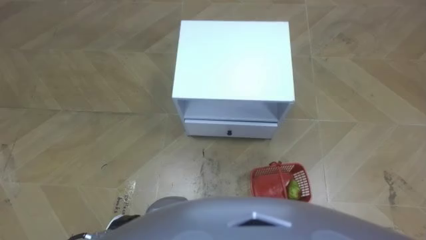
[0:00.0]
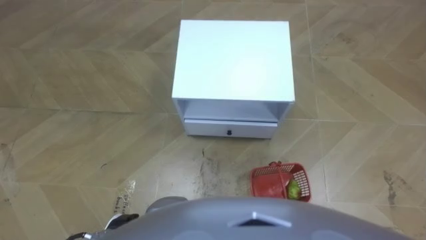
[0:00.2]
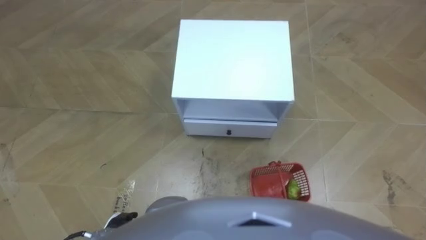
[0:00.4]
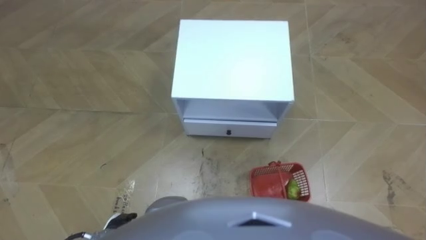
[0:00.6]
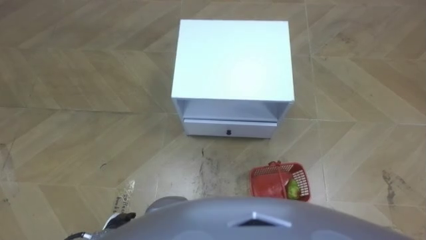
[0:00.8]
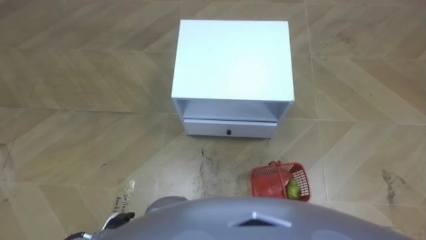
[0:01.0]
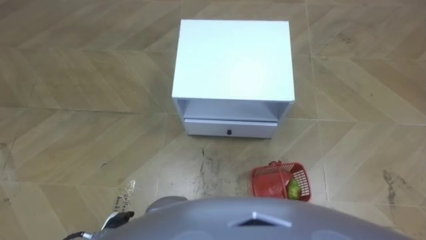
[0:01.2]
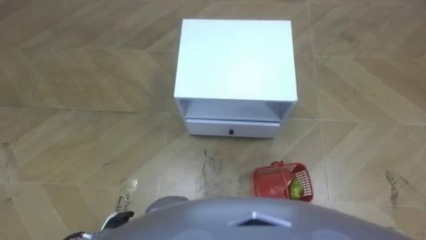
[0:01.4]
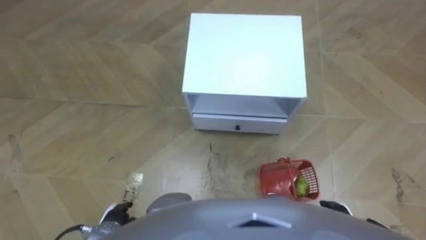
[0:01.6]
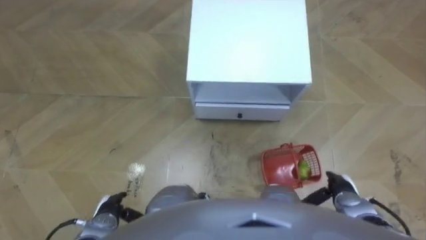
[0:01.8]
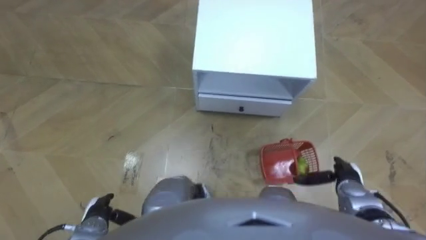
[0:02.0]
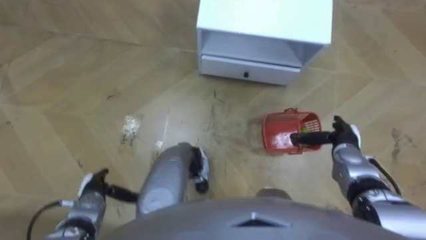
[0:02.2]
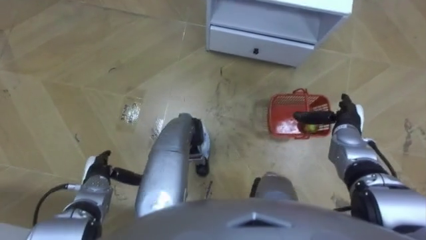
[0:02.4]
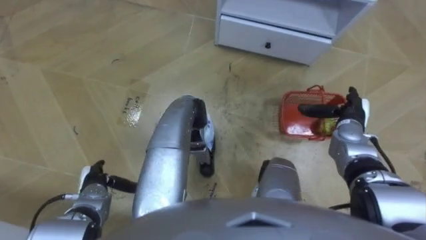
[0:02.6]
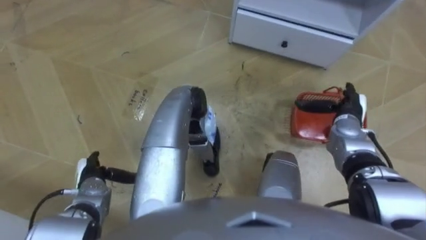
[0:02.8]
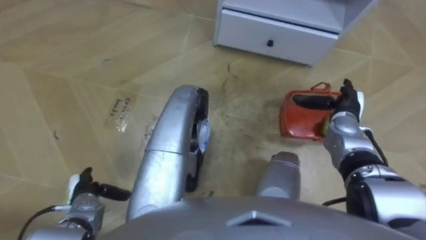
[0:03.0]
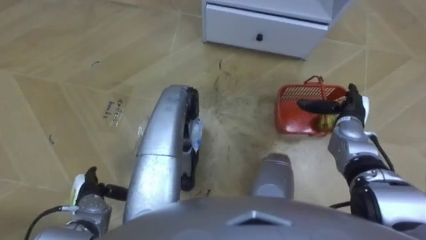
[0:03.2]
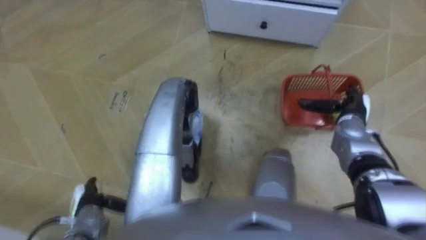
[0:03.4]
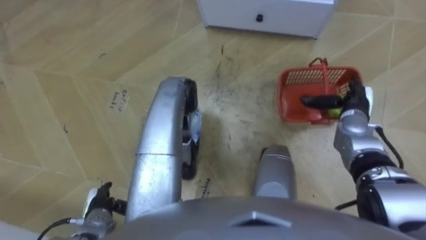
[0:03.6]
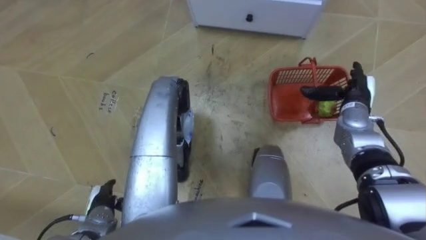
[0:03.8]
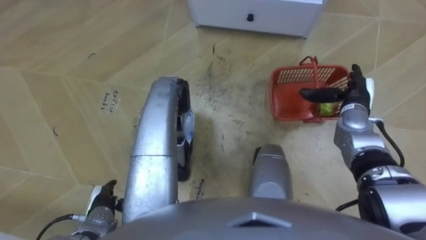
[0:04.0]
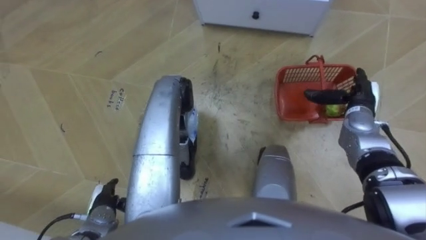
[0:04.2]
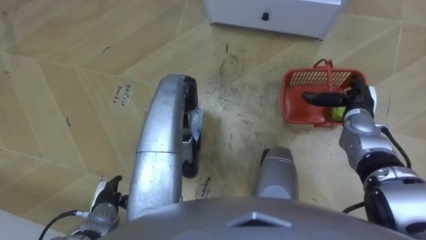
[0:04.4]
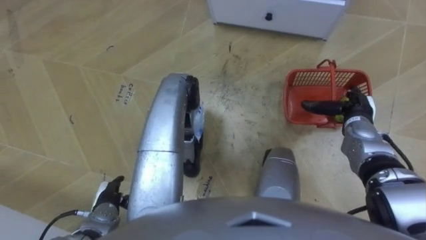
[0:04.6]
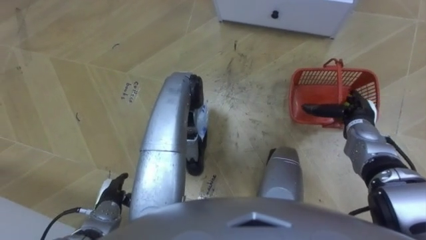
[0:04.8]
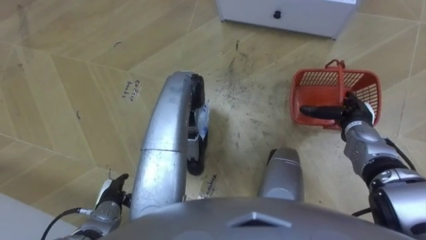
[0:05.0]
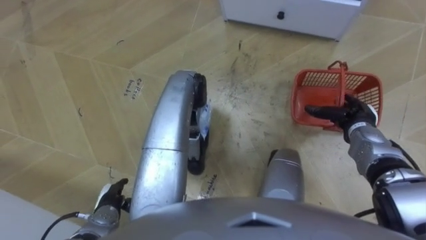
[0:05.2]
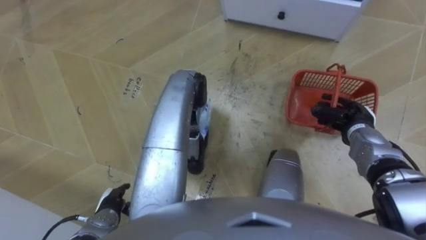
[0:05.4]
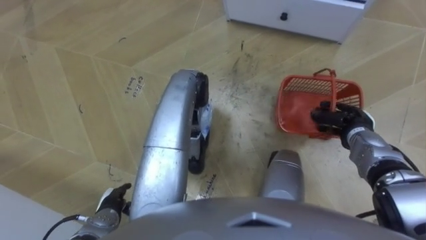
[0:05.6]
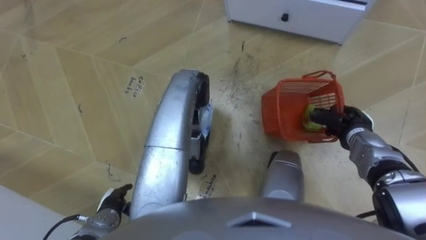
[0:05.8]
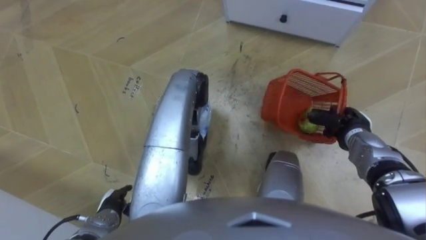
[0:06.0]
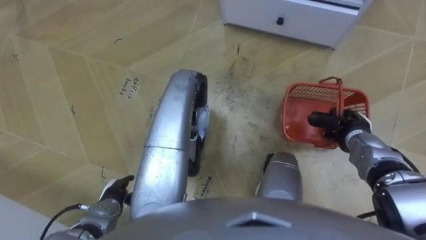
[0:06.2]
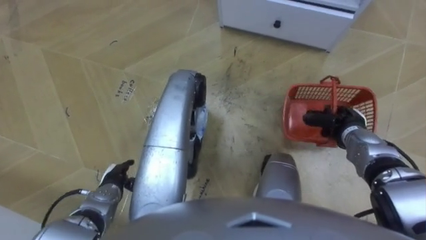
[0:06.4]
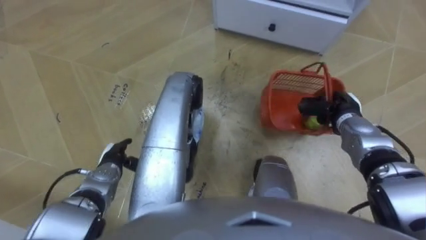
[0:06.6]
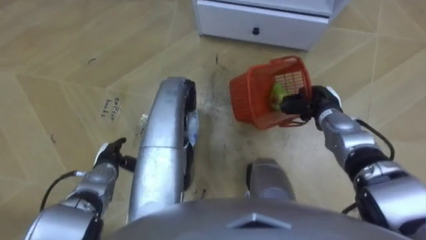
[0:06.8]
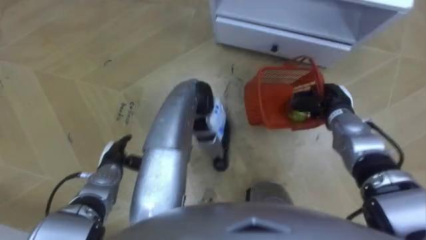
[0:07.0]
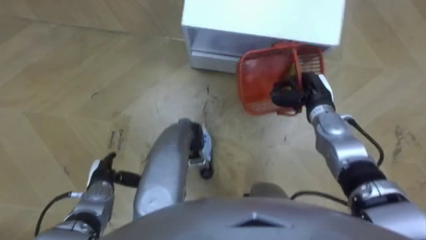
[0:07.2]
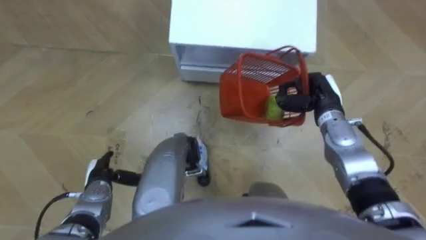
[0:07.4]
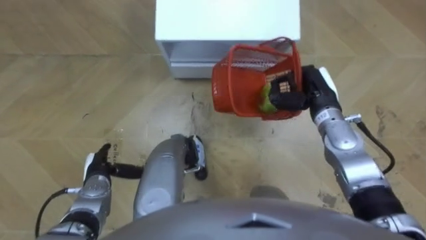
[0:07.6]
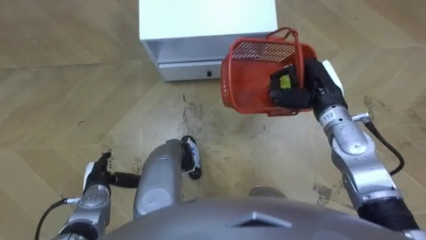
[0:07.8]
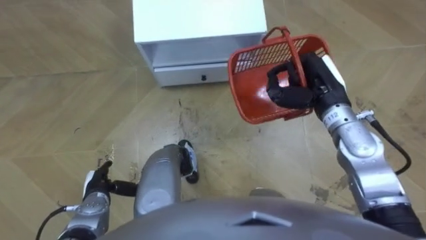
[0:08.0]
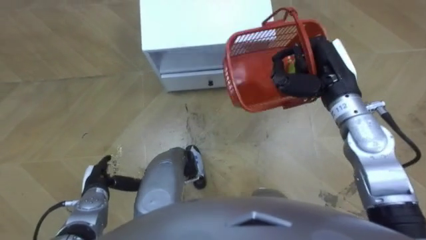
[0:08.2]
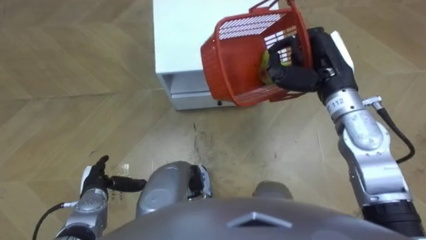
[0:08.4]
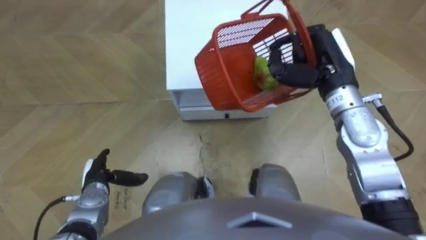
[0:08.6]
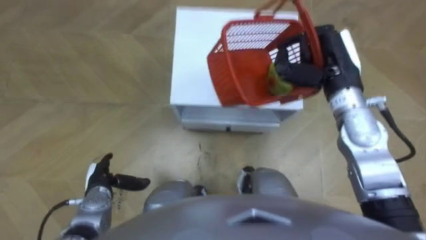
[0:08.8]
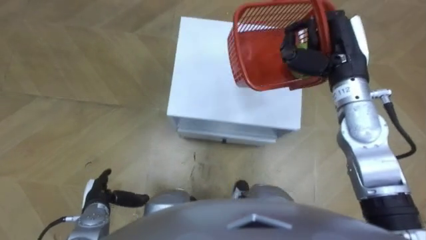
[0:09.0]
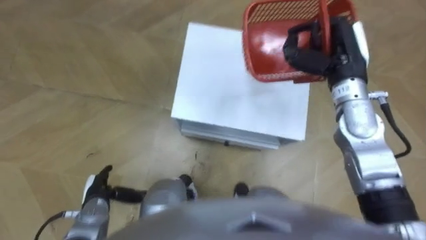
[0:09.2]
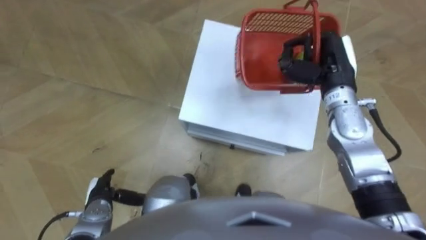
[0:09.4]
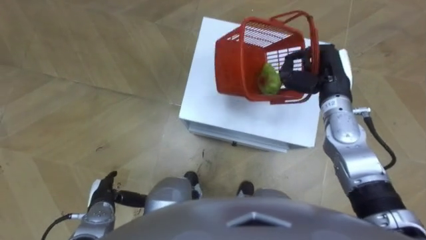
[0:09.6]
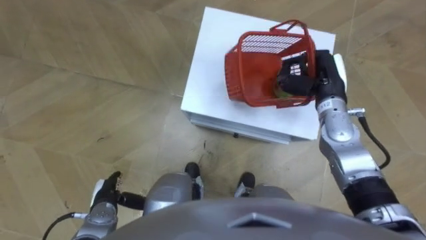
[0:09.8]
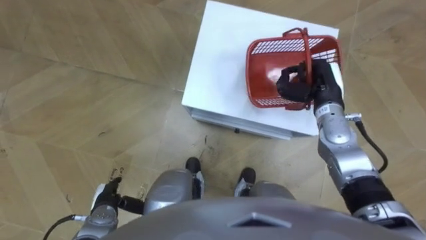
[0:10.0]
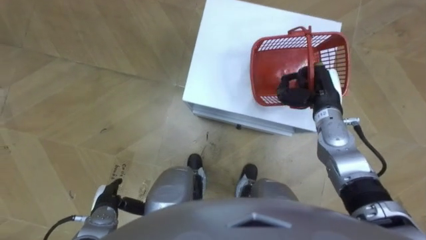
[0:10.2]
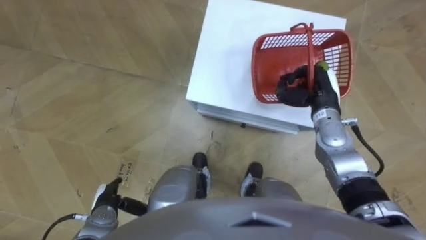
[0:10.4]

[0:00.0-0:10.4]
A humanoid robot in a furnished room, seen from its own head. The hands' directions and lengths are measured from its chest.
Task of the whole recording: Pick up the fruit basket from the floor and place it on the cabinet.
0:01.4 to 0:03.0: The left hand heads forward and to the left, covering about 10 cm. The right hand moves forward, approximately 25 cm.
0:04.4 to 0:06.0: The right hand shifts by approximately 5 cm, and closes its fingers.
0:06.0 to 0:07.4: The right hand heads to the left and upward, covering approximately 10 cm, while the left hand is displaced forward by approximately 5 cm.
0:07.4 to 0:09.0: The right hand heads upward, covering some 15 cm.
0:09.0 to 0:10.4: The right hand heads downward, covering roughly 15 cm.

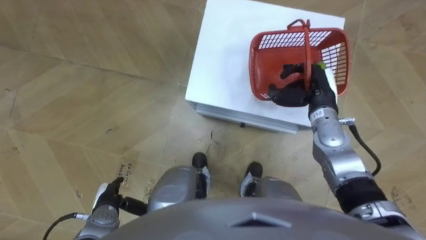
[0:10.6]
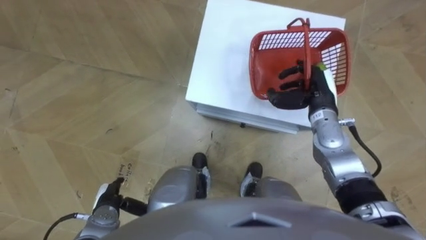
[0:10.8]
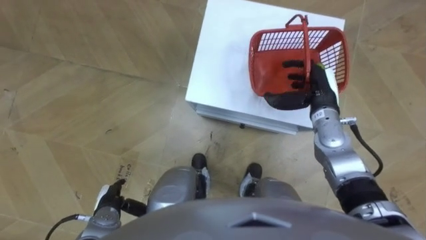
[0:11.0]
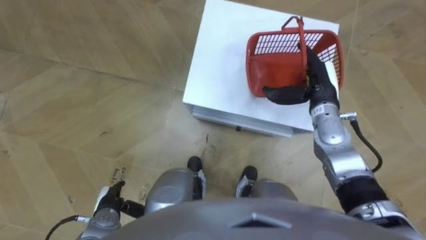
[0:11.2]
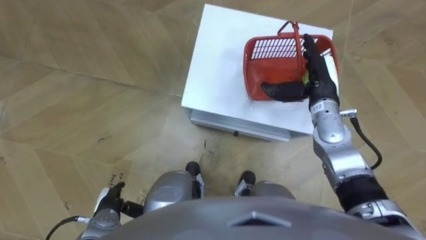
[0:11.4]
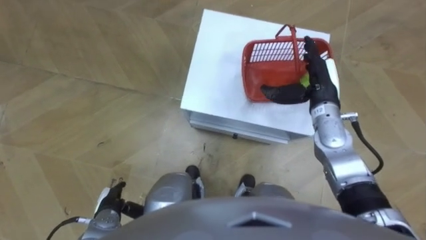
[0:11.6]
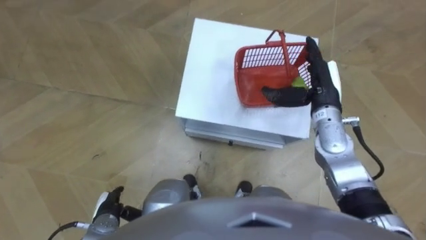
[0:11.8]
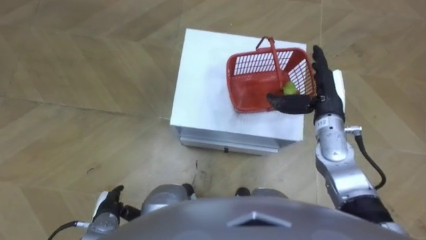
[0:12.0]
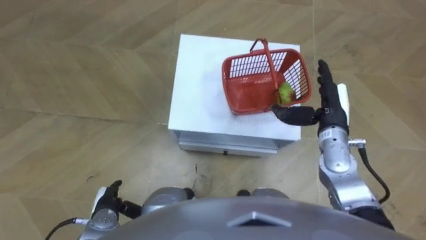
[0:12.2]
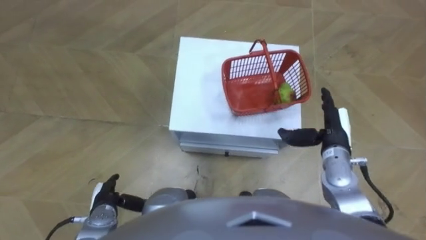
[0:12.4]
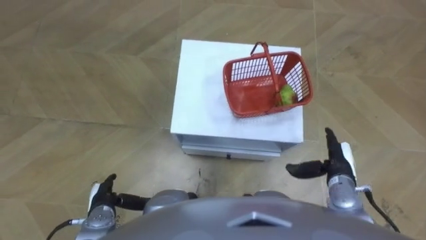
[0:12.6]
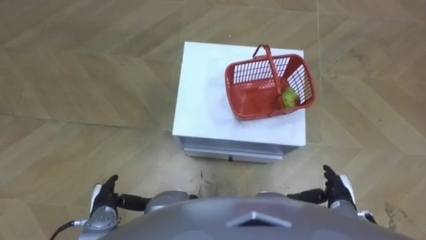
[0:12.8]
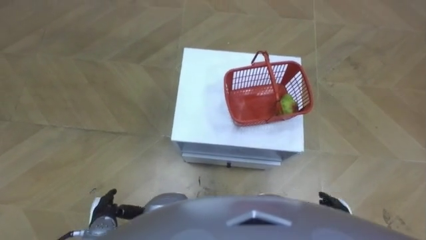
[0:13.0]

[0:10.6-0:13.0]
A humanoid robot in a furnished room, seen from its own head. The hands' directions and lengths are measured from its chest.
Task of the whole recording: Pick up the fruit basket from the floor and place it on the cabinet.
0:10.6 to 0:11.8: The right hand opens up.
0:11.8 to 0:13.0: The right hand heads backward and downward, covering approximately 30 cm.

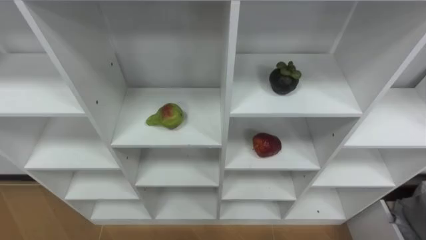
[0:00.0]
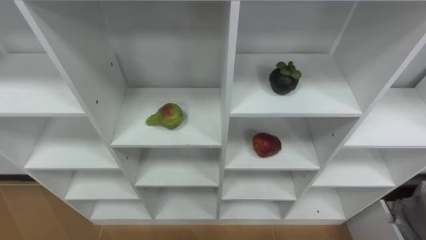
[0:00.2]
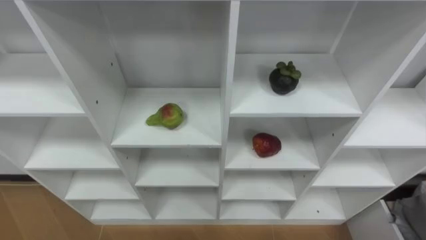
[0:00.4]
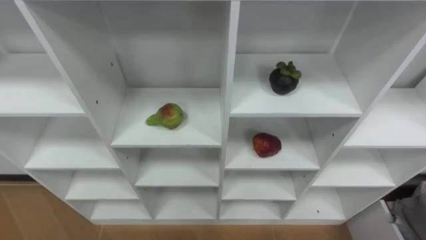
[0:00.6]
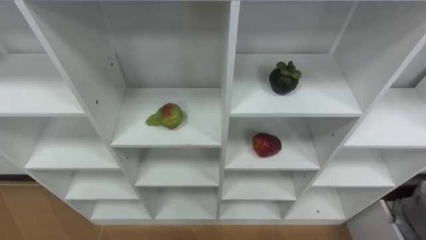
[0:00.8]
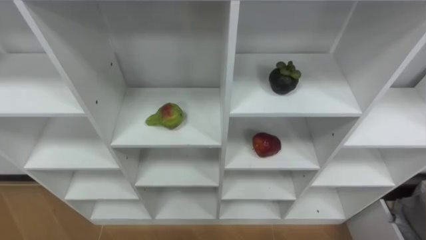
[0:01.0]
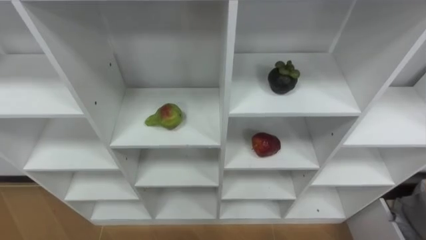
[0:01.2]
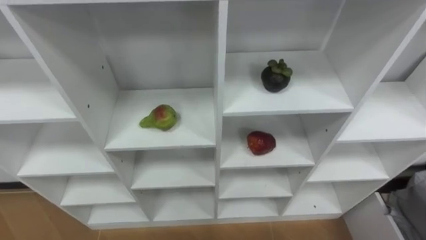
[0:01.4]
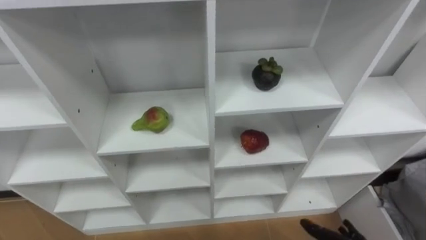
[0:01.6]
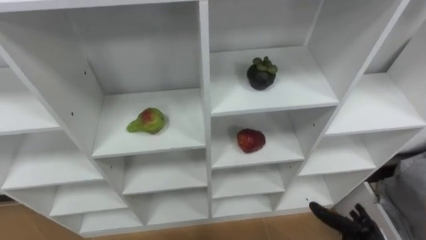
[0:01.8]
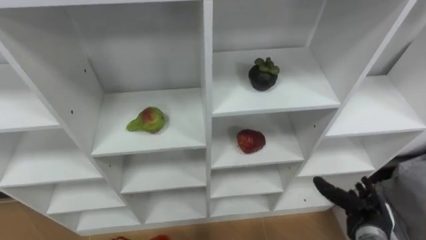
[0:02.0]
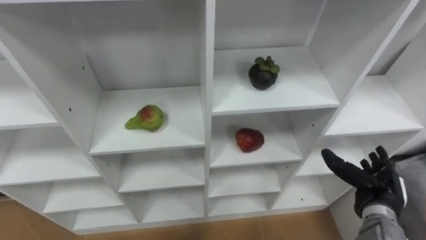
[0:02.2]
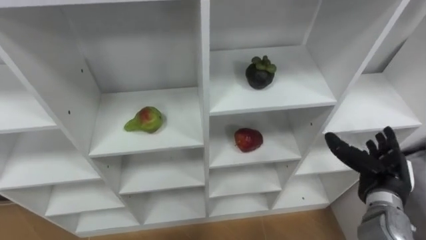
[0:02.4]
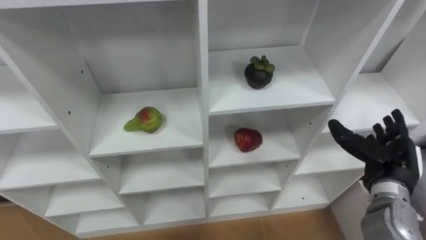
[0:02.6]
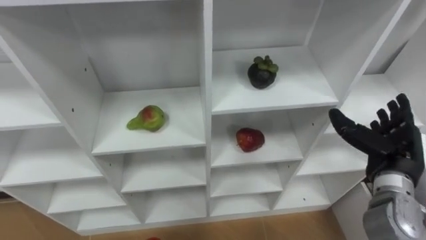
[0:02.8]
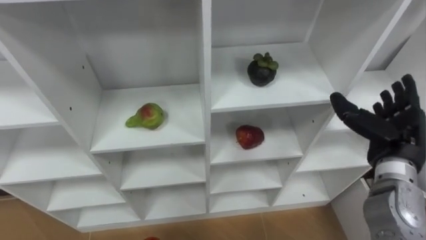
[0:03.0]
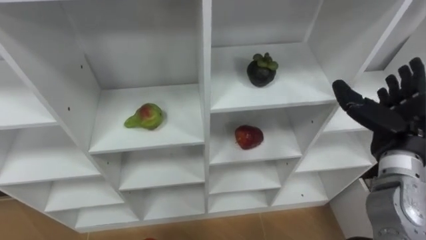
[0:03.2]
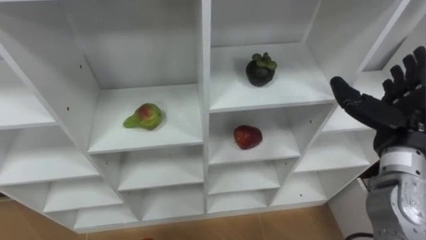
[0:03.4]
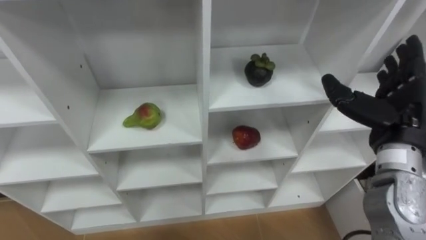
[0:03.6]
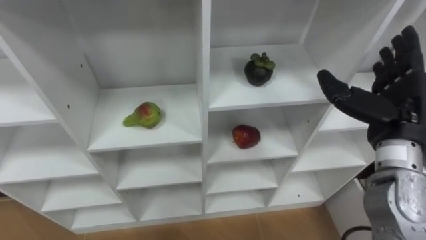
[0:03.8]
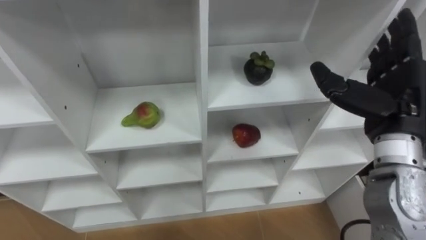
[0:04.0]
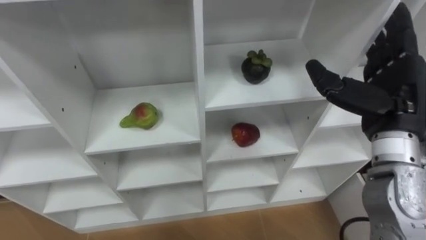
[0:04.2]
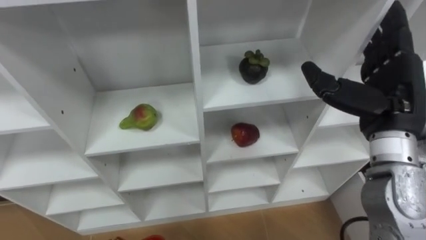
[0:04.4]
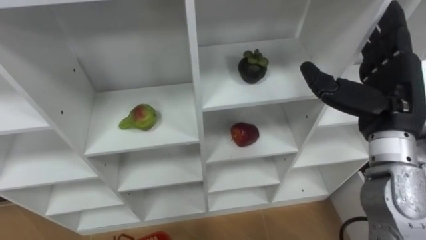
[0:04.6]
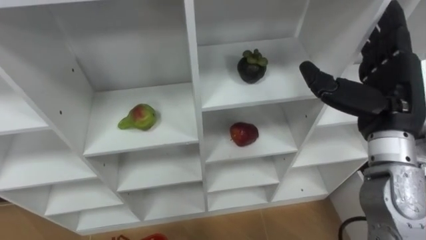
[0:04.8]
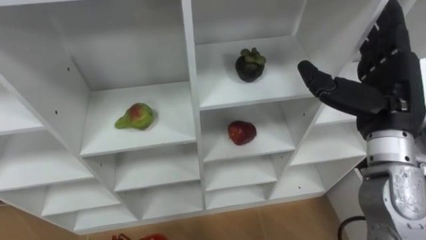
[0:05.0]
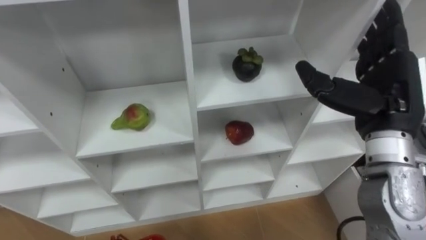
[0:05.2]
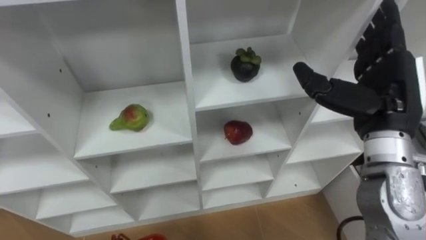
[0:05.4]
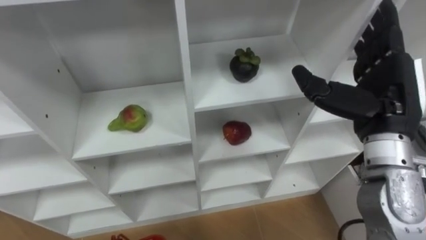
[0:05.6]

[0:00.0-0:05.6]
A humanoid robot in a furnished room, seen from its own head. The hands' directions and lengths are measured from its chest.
Task of the whole recording: Hold the basket and collect the fruits from 3 different cells of the closet into it.
0:02.8 to 0:04.2: The right hand goes some 15 cm upward and to the left.
